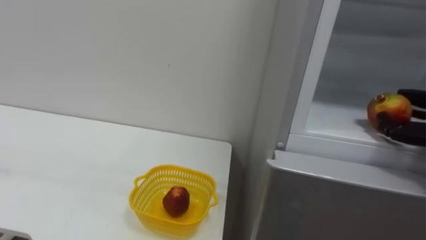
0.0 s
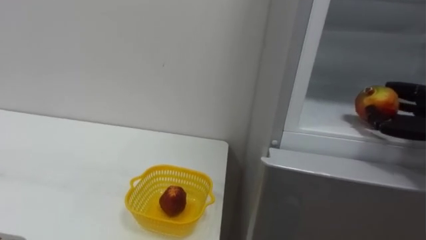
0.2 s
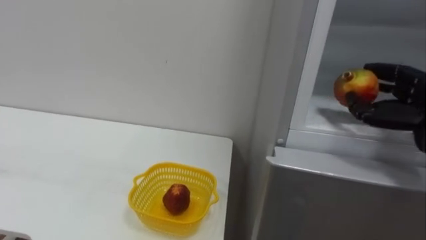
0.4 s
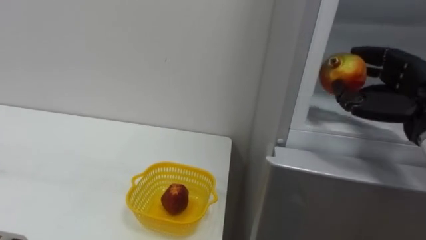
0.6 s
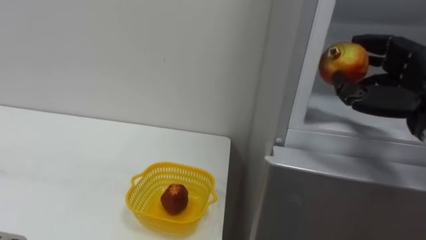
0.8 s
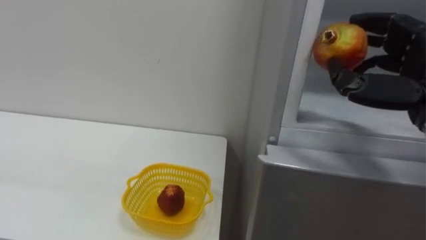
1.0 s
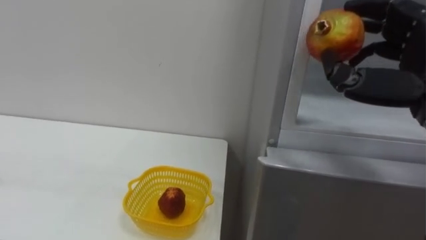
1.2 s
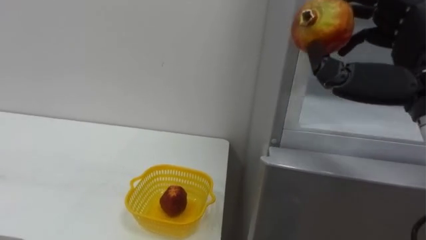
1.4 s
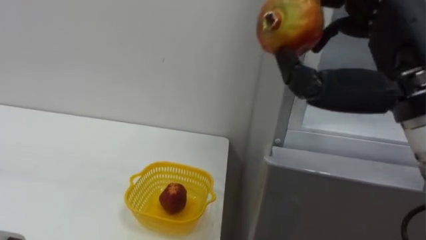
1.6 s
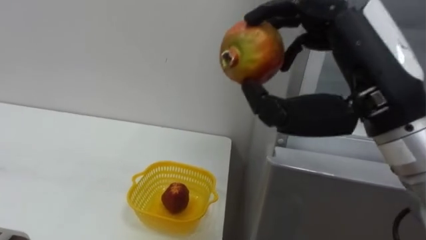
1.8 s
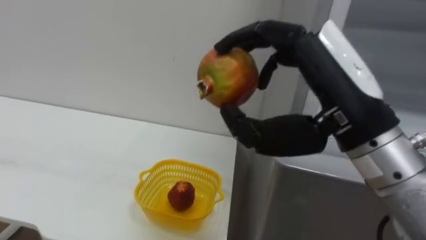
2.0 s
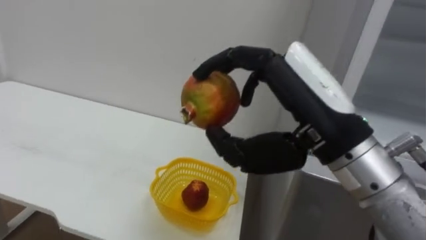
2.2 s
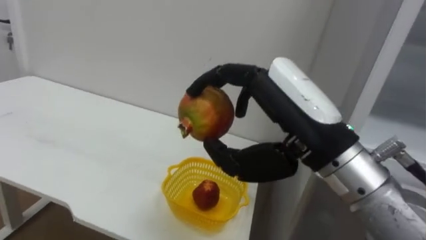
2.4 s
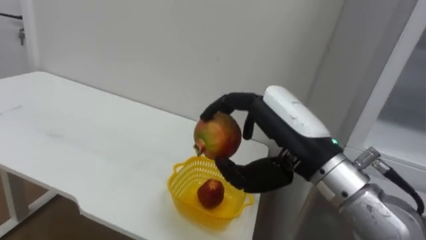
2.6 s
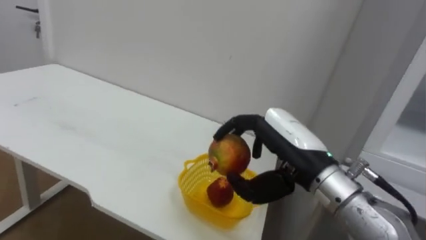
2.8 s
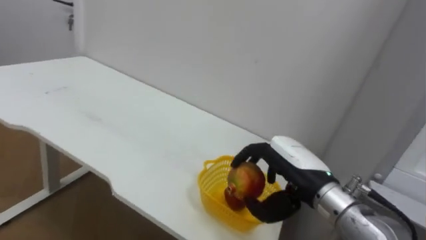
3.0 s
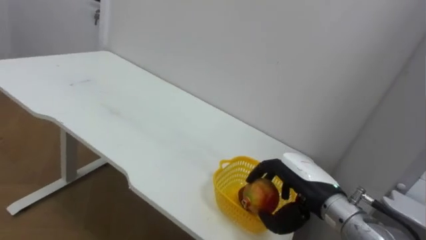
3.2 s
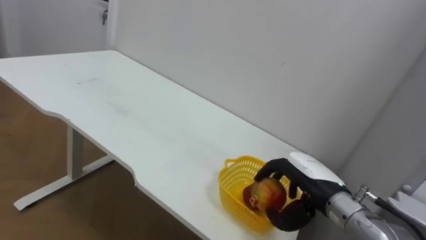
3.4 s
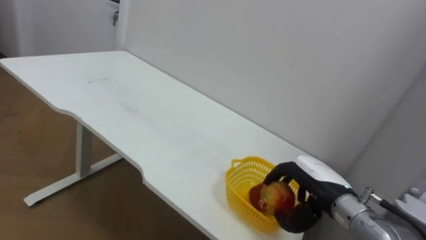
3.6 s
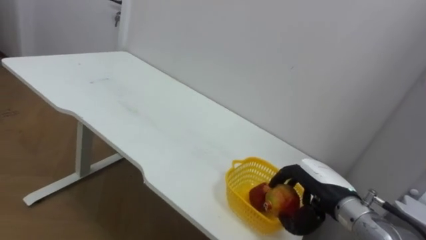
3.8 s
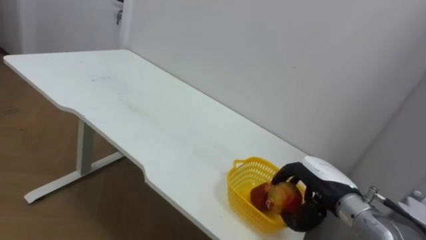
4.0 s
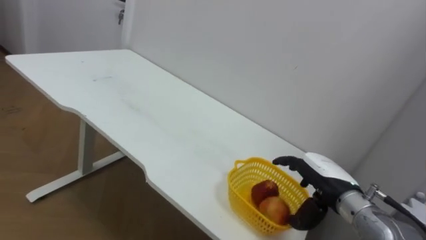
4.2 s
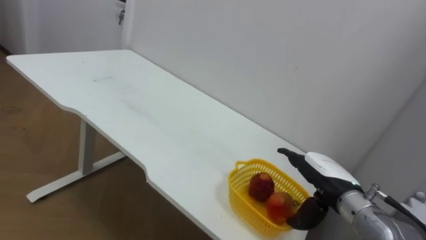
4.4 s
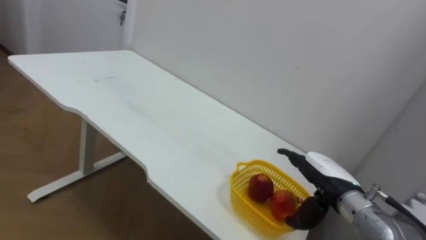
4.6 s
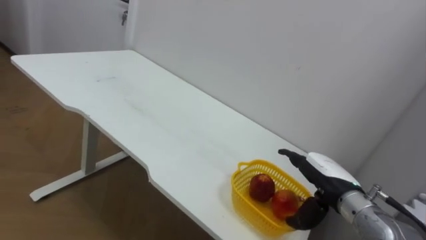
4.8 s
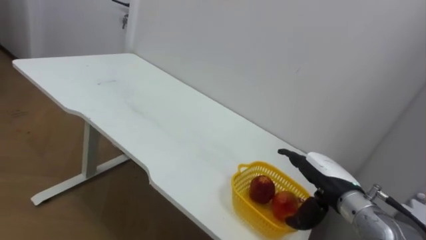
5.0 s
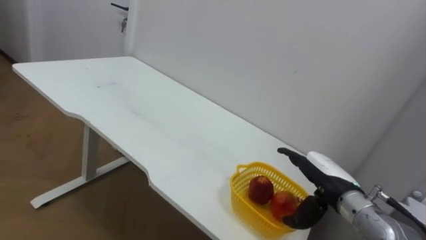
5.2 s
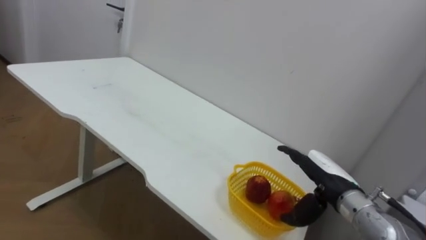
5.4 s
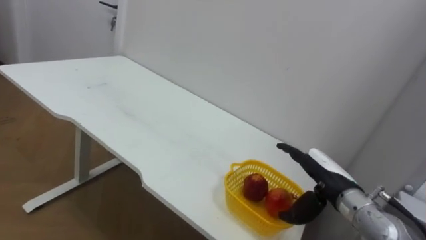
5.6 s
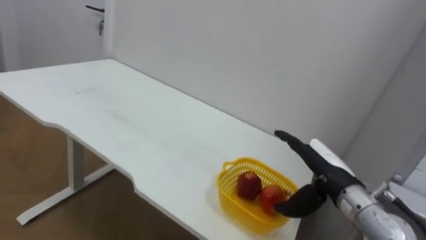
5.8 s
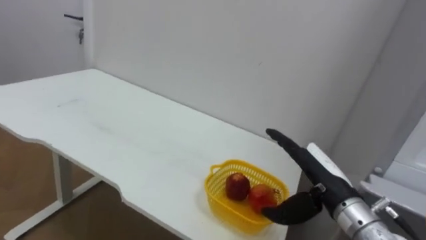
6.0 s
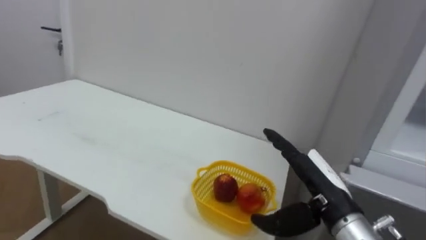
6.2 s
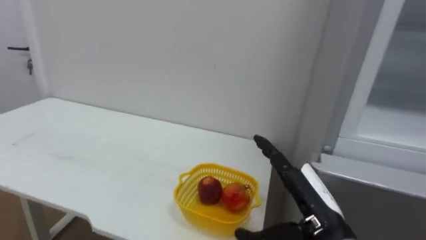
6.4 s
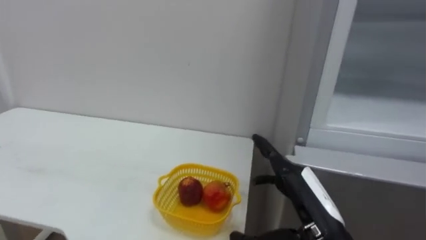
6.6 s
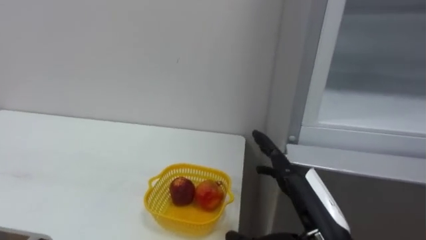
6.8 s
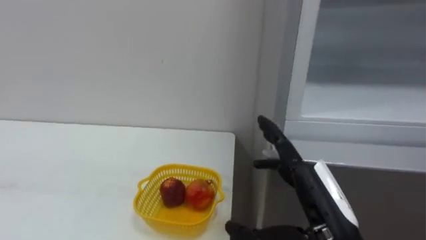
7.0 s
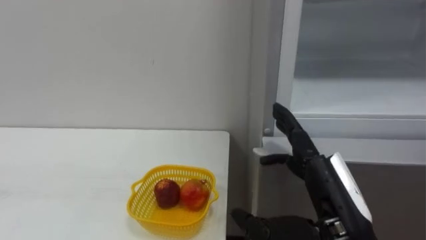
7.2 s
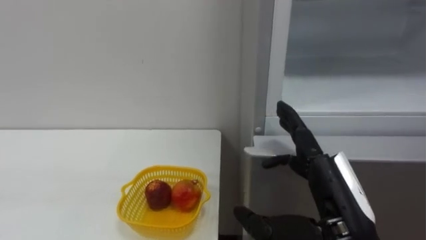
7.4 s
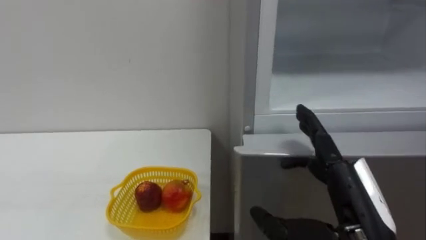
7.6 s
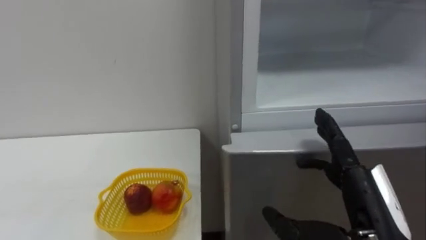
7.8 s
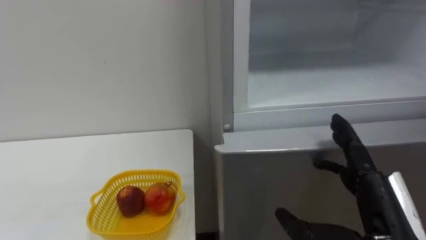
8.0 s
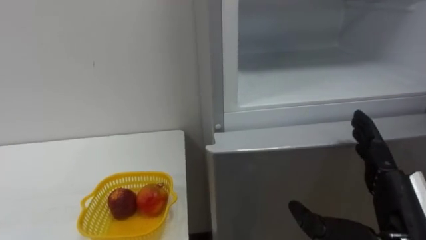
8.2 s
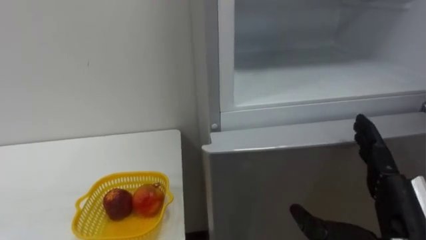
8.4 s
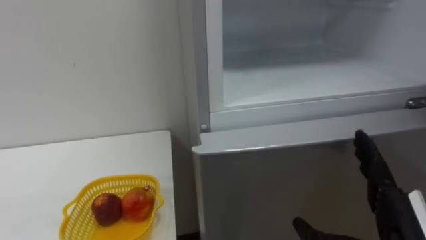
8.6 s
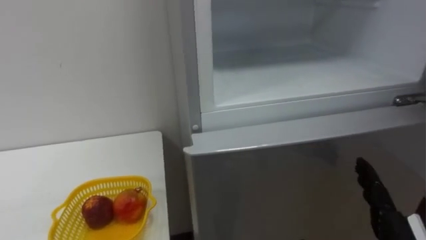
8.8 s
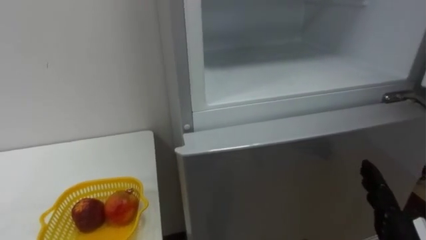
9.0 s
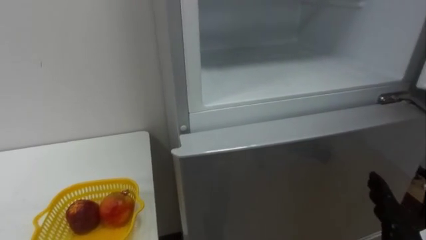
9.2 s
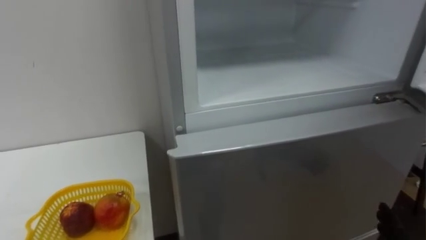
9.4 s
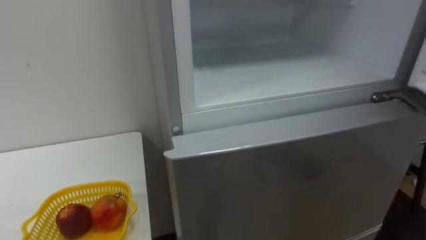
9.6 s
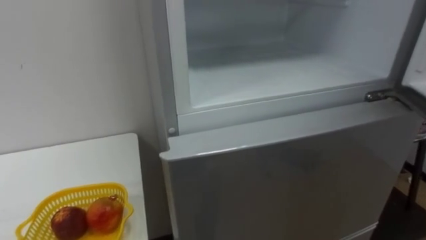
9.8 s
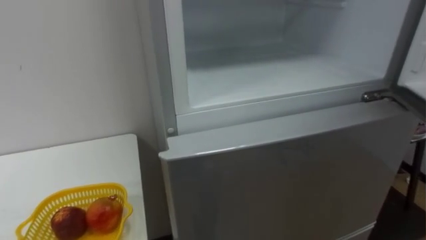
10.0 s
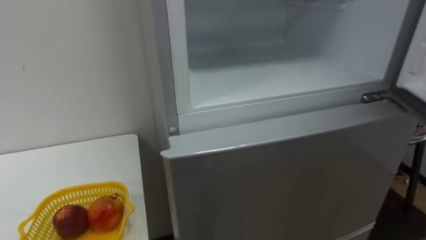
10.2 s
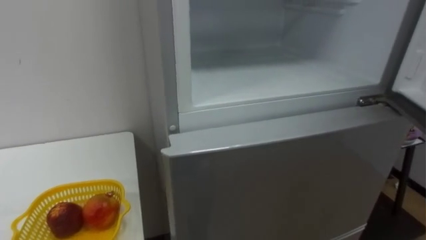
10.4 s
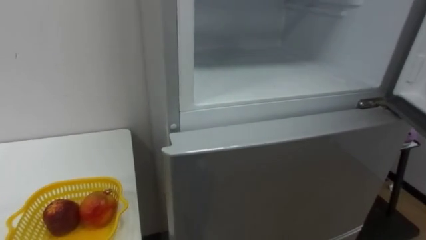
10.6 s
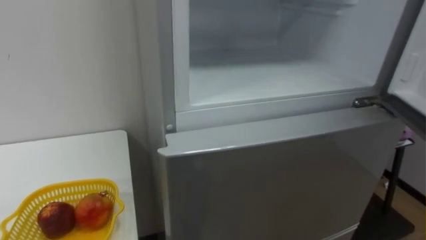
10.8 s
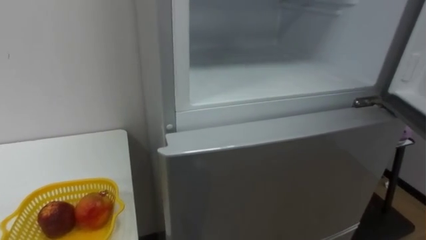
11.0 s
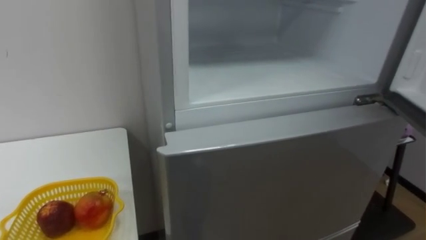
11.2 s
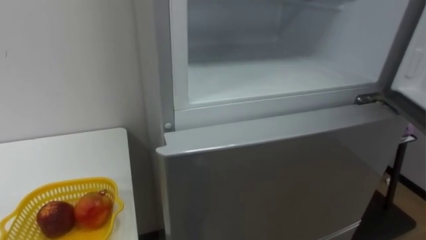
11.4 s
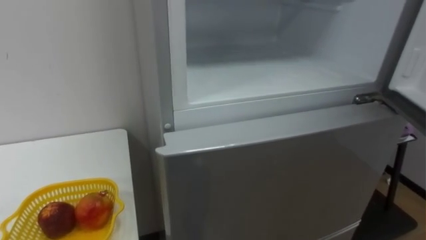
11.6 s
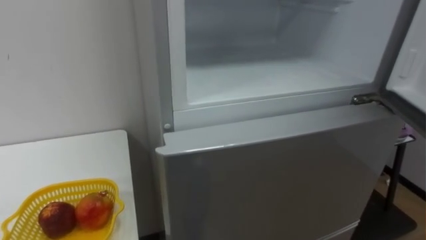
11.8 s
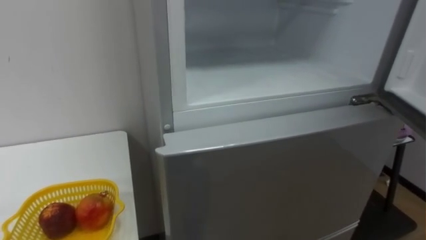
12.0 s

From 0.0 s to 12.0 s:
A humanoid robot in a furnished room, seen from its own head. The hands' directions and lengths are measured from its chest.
Task of the whole recording: Open the refrigerator door, take out the apple and the pomegranate, place them in the fruit basket on the left, and close the refrigerator door.
From 1.6 s to 3.0 s: The right hand is displaced downward by roughly 20 cm.
From 3.0 s to 4.4 s: The right hand is displaced to the right and downward by approximately 10 cm, and opens its fingers.
From 4.4 s to 6.0 s: The right hand ends up roughly 5 cm from where it was.
From 6.0 s to 7.6 s: The right hand moves backward and upward, roughly 10 cm.

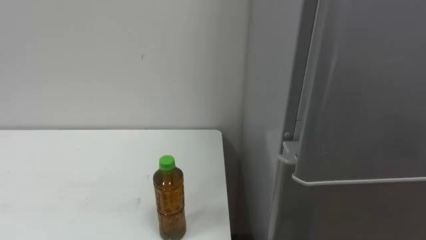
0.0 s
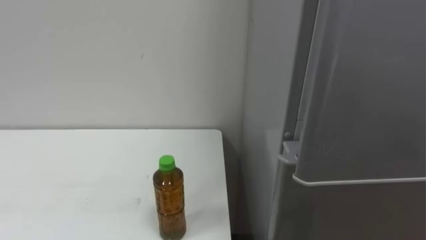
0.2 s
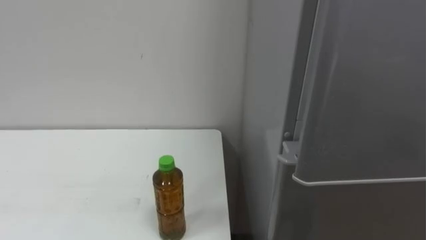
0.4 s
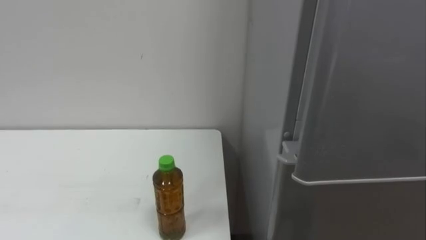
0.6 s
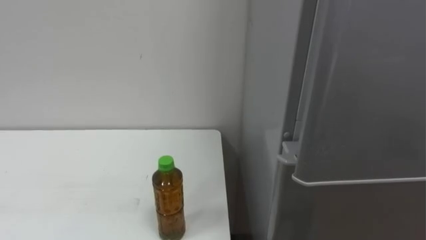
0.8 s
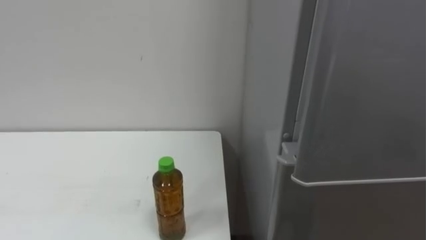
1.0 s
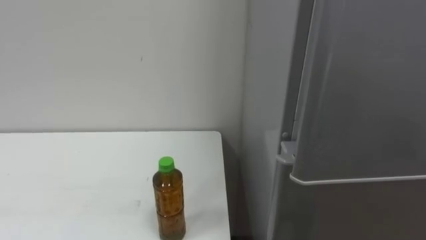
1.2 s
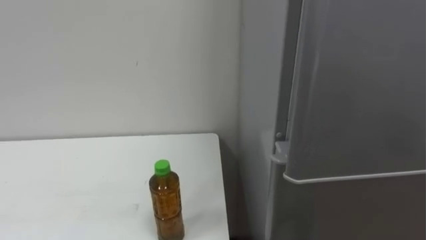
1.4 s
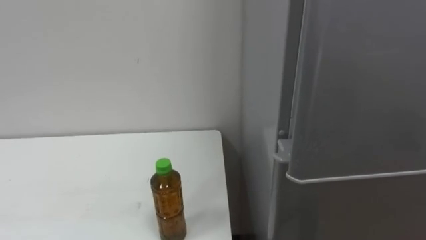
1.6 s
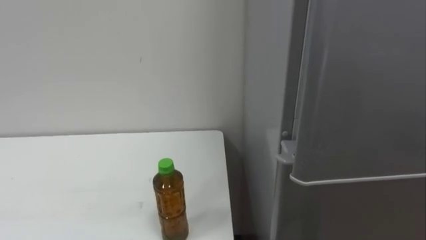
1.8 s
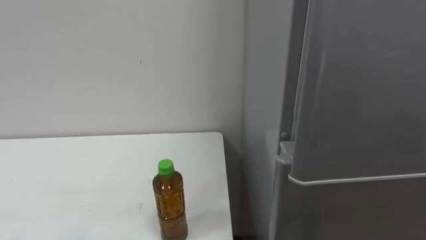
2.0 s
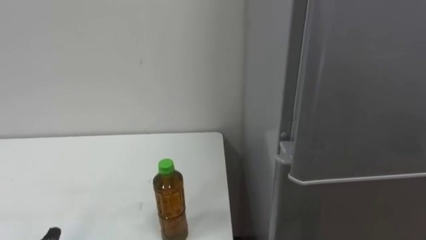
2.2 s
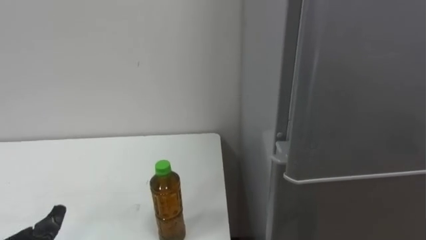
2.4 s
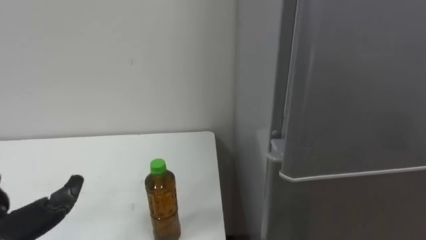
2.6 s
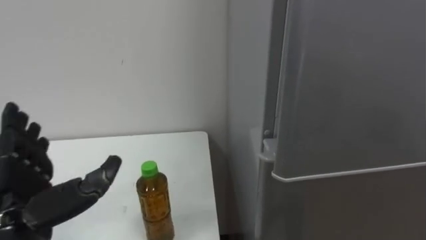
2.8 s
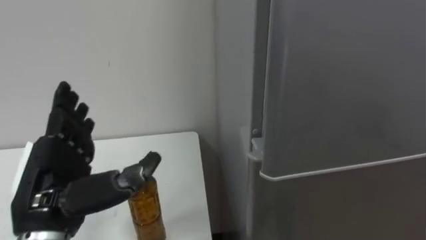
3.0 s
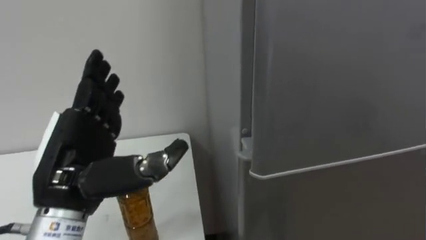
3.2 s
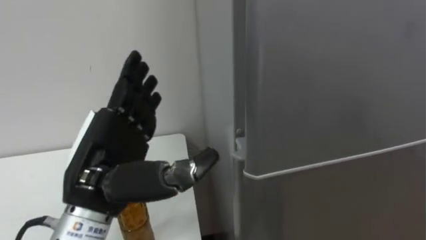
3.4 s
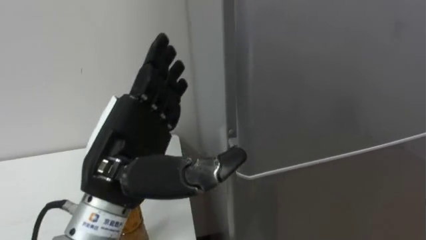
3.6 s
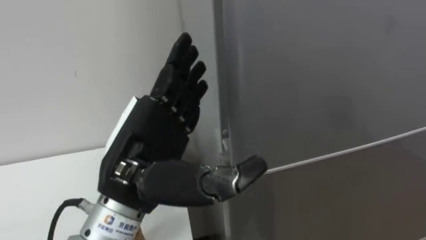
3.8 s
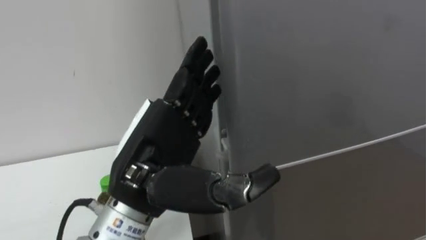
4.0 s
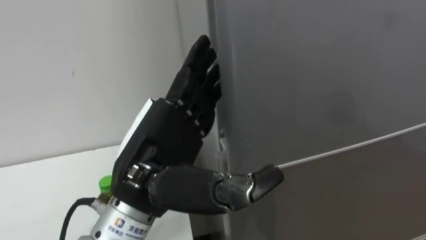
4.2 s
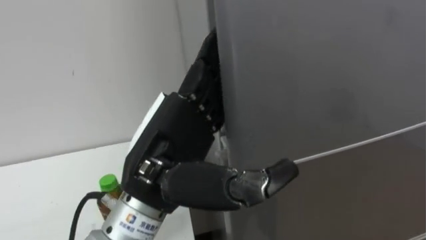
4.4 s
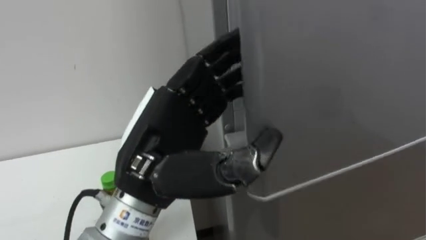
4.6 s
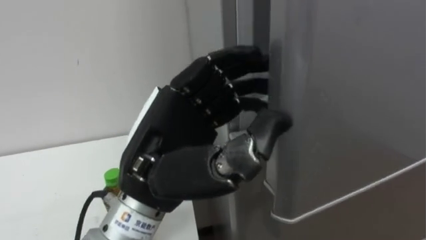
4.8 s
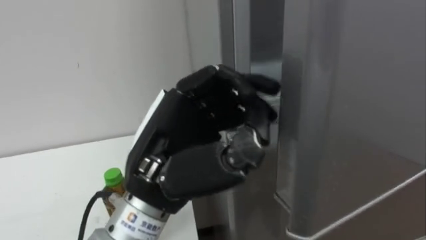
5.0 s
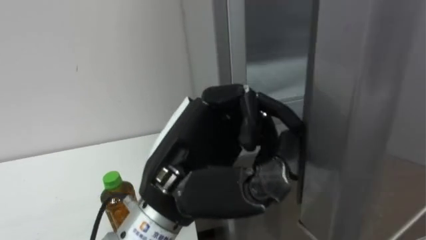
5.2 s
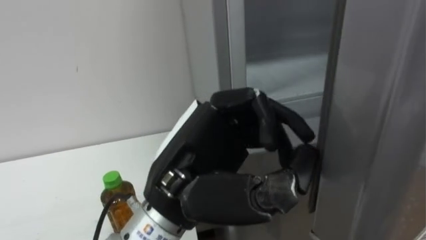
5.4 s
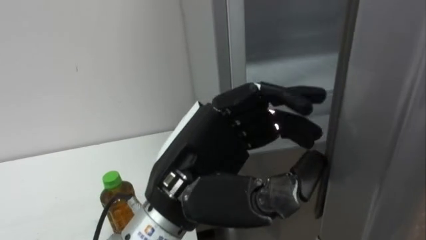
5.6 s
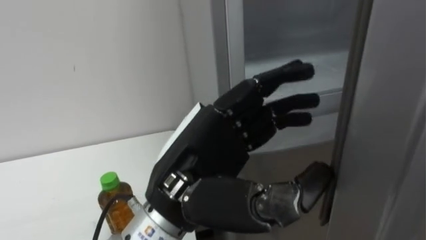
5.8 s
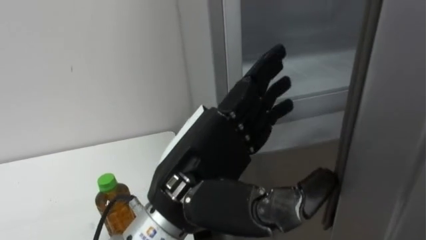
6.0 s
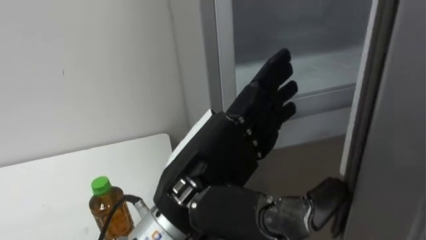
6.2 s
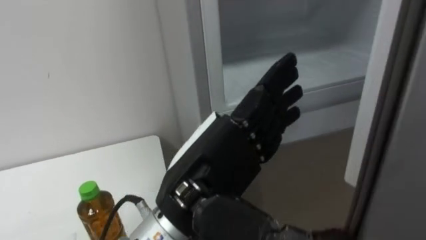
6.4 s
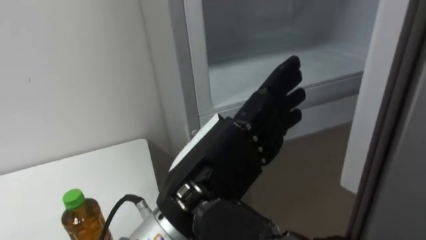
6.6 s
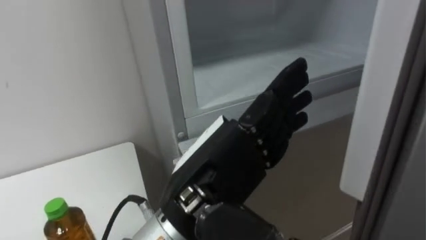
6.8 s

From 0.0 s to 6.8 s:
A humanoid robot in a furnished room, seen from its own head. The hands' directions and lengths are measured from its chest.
Task of the whole recording: Open the upper refrigerator door, put the drink from the table into the refrigerator, and then close the refrigerator door.
From 2.8 s to 4.0 s: The left hand goes roughly 20 cm to the right and upward.
From 4.0 s to 5.4 s: The left hand moves approximately 5 cm, and closes up.
From 5.4 s to 6.8 s: The left hand opens up.
